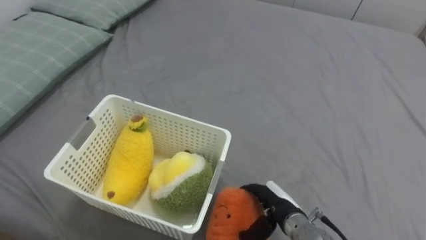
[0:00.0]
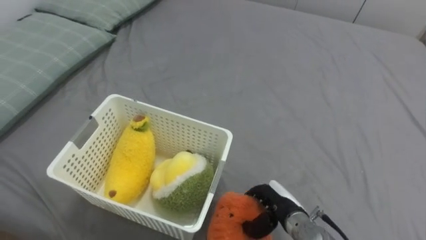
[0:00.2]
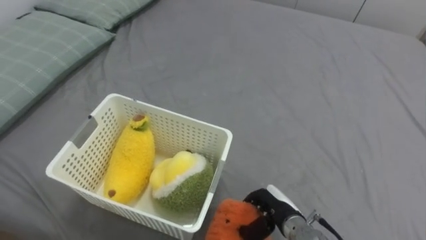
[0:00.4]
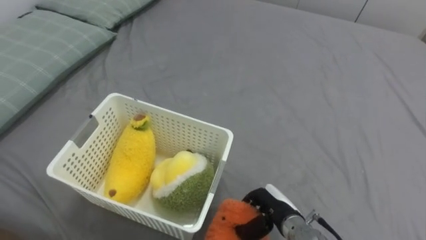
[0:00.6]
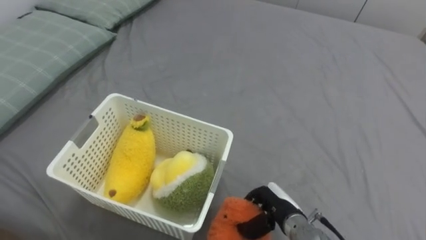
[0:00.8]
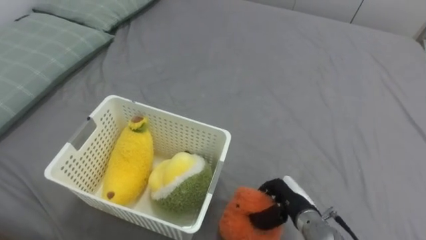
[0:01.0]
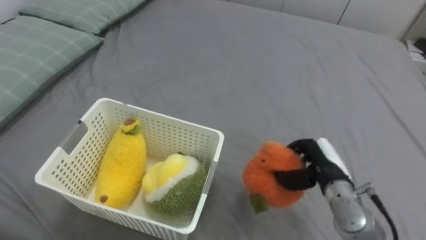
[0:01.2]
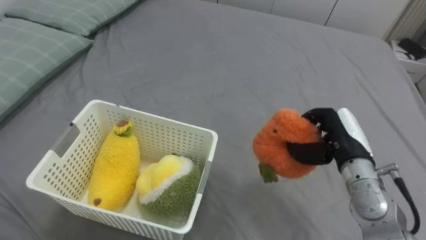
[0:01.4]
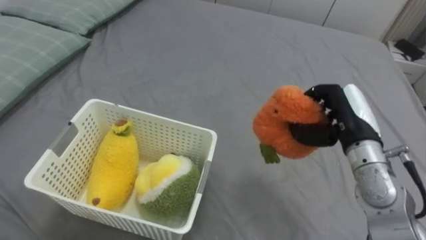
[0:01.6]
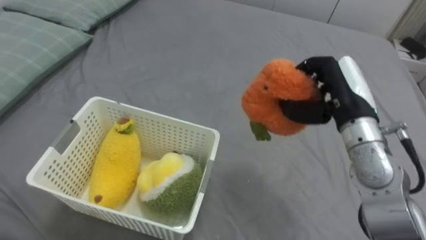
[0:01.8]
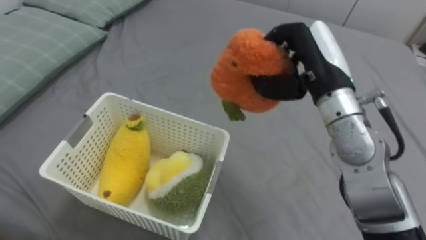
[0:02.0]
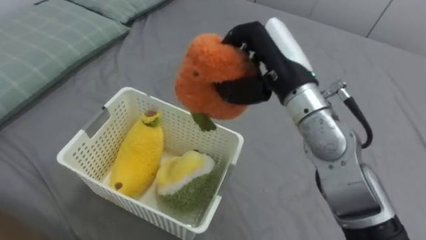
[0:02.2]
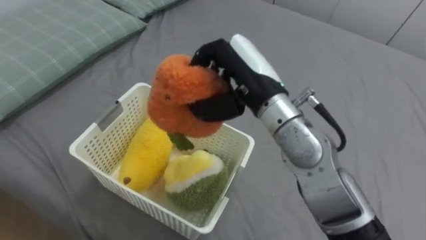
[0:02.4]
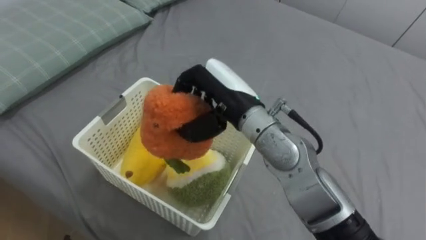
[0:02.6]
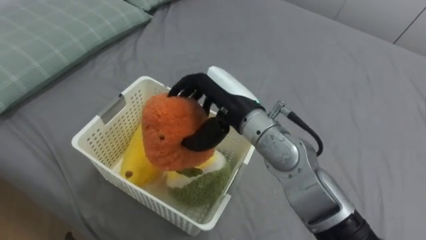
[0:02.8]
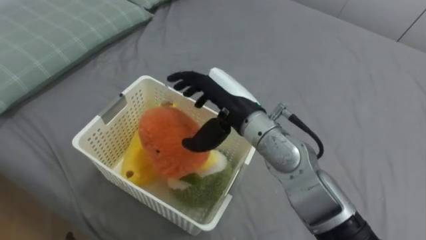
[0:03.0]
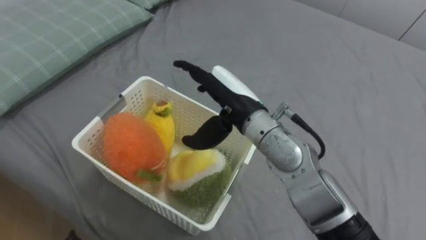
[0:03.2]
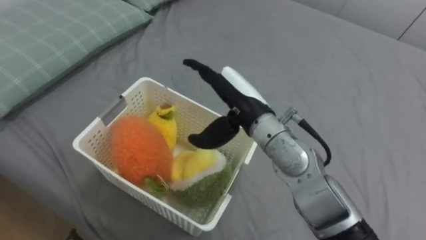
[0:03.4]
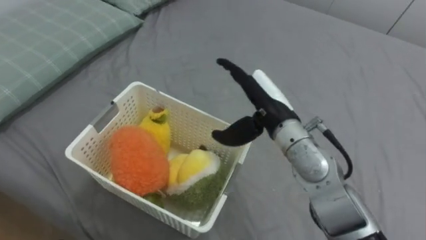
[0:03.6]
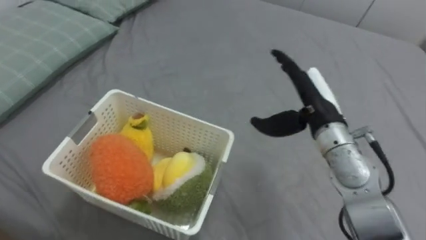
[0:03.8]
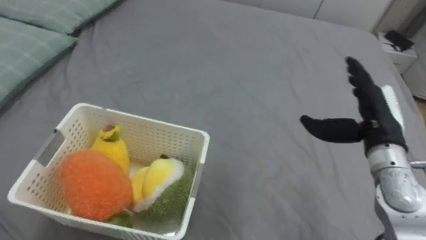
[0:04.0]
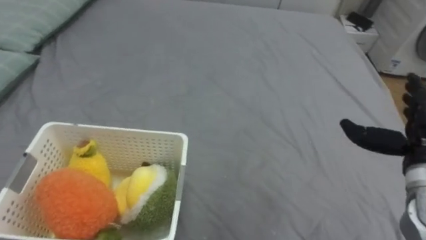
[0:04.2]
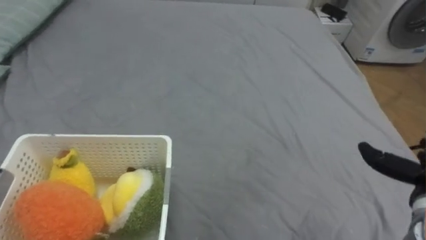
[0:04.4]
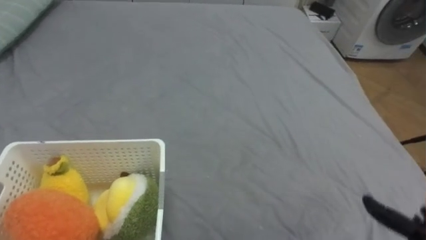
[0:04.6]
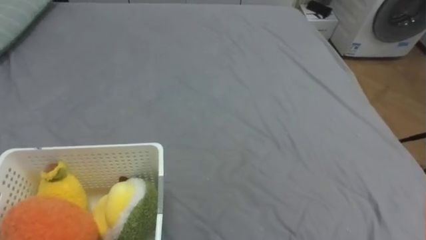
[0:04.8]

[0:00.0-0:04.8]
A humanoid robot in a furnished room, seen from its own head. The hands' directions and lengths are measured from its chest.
Task of the whole recording: Put the toys on the bed into the basket on the left.
0:00.0 to 0:01.6: The right hand shifts roughly 25 cm upward, to the right and forward, and closes.
0:01.6 to 0:03.2: The right hand travels to the left by about 20 cm, and opens its fingers.

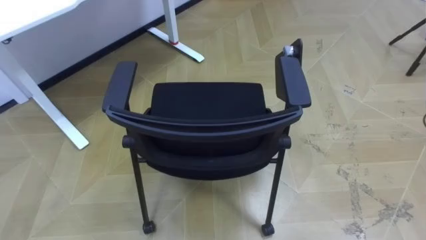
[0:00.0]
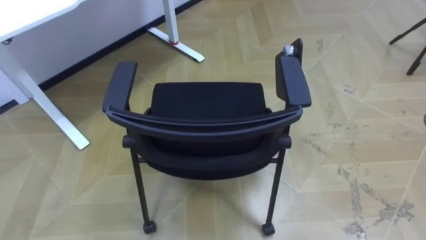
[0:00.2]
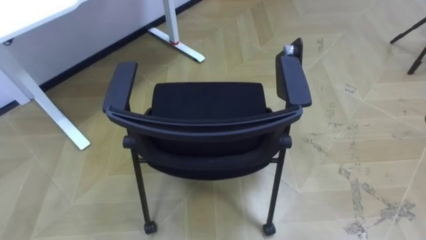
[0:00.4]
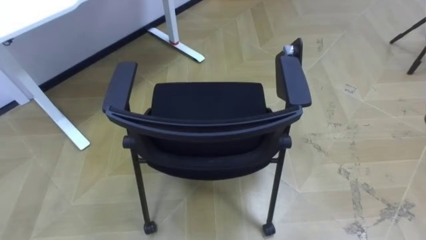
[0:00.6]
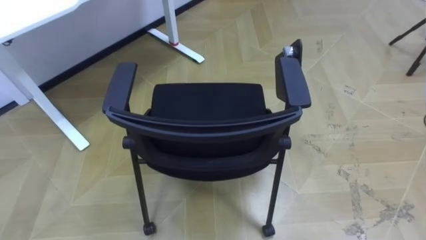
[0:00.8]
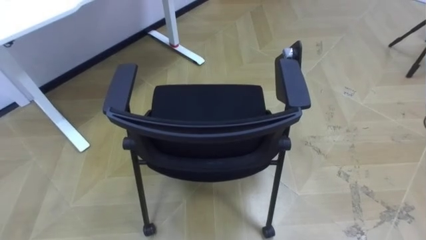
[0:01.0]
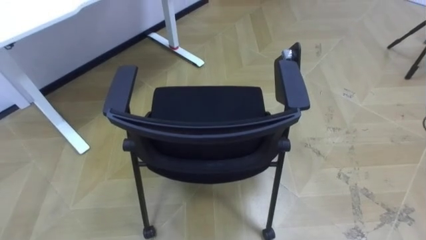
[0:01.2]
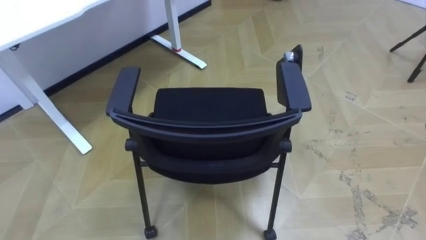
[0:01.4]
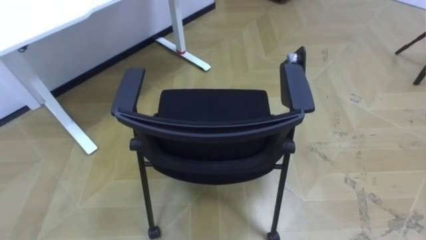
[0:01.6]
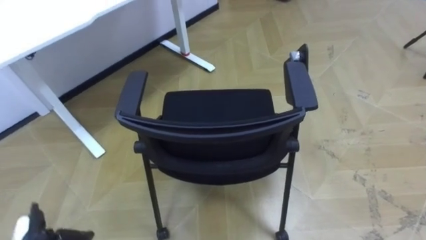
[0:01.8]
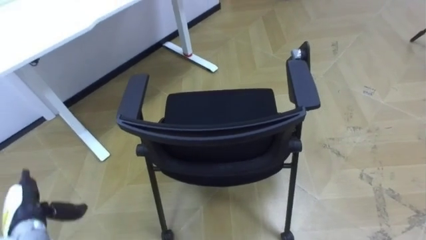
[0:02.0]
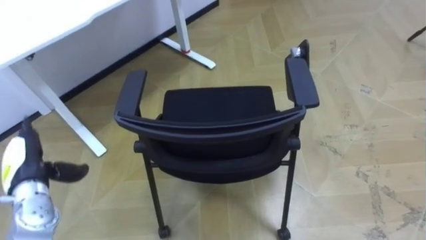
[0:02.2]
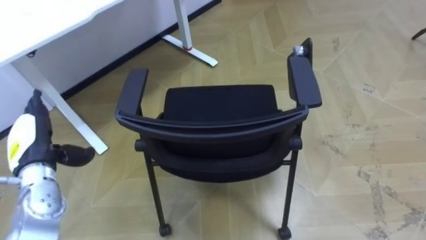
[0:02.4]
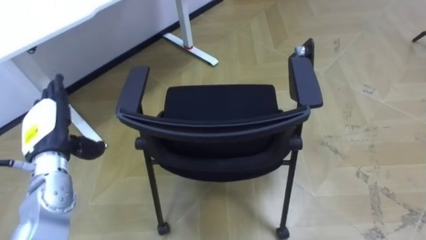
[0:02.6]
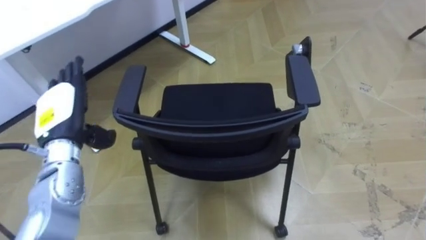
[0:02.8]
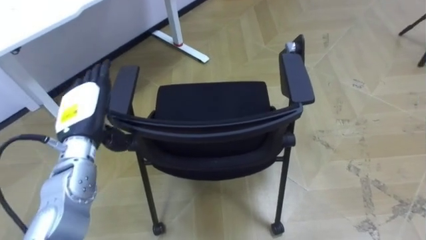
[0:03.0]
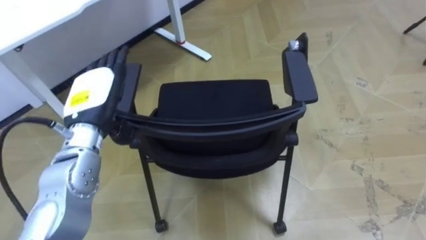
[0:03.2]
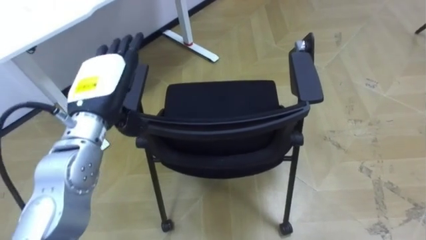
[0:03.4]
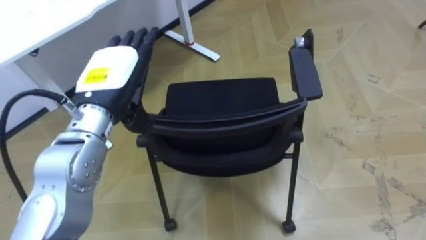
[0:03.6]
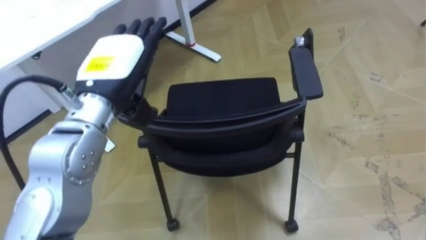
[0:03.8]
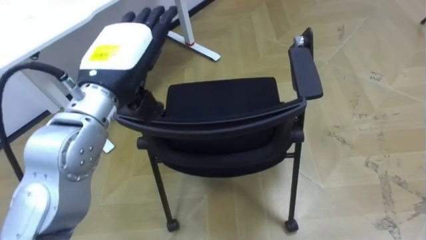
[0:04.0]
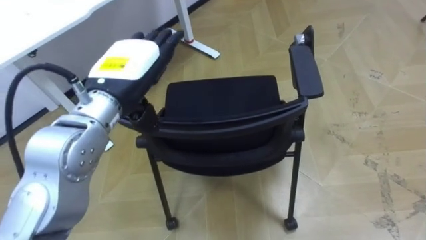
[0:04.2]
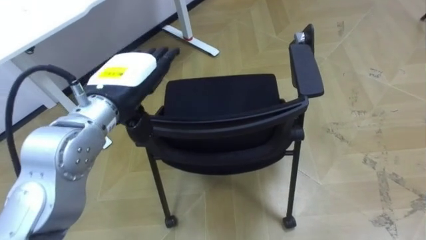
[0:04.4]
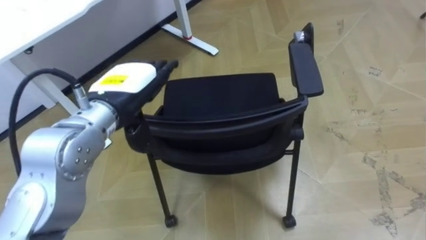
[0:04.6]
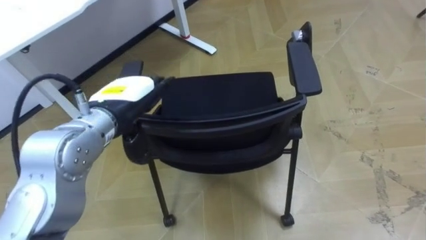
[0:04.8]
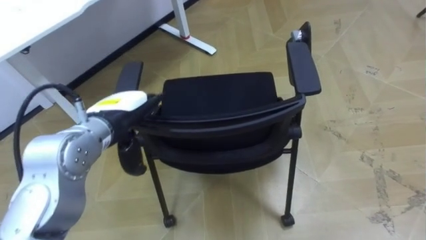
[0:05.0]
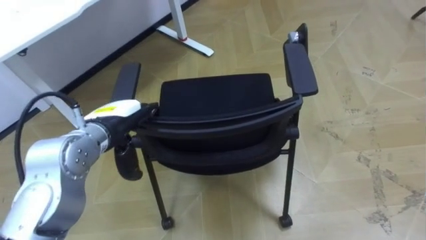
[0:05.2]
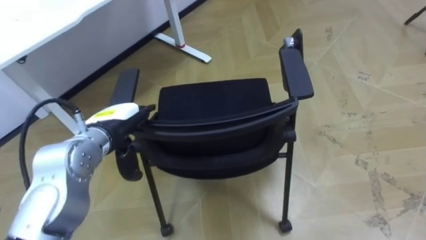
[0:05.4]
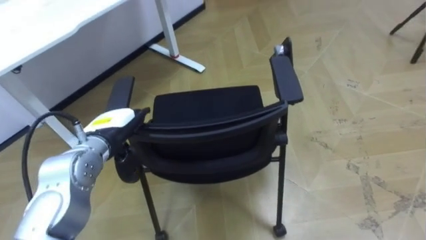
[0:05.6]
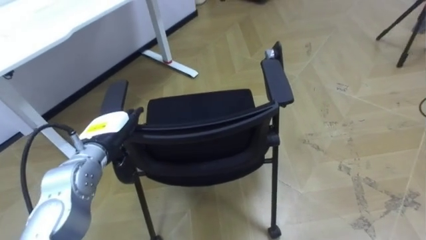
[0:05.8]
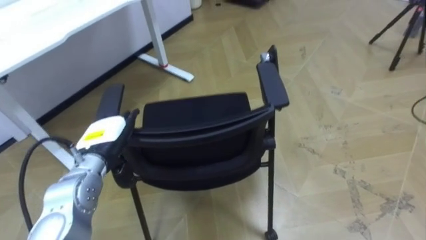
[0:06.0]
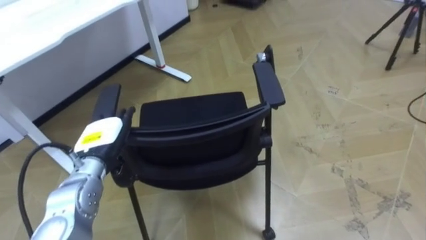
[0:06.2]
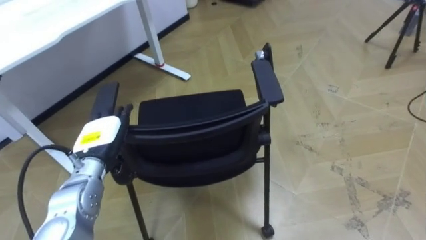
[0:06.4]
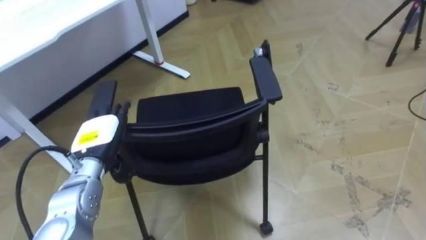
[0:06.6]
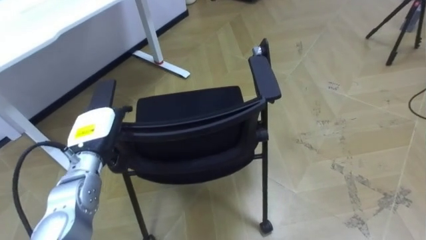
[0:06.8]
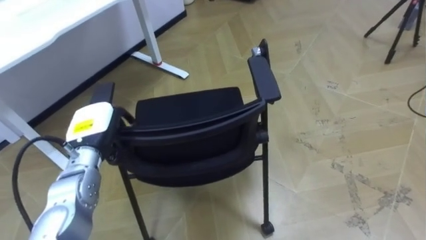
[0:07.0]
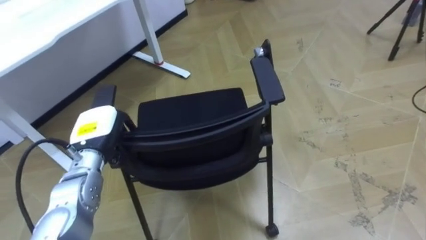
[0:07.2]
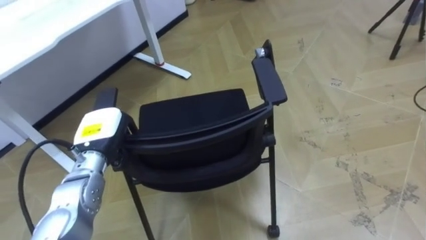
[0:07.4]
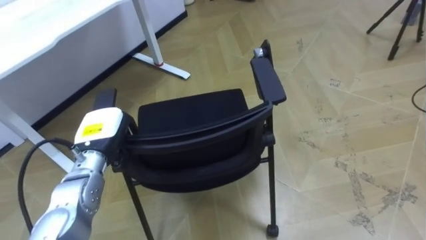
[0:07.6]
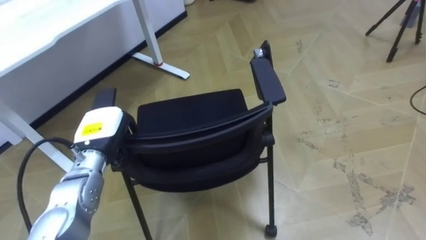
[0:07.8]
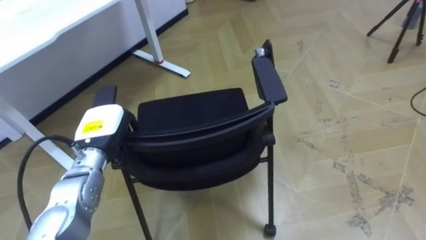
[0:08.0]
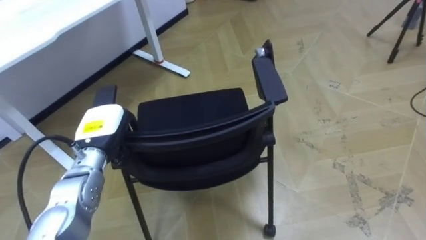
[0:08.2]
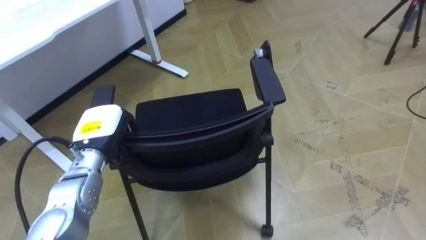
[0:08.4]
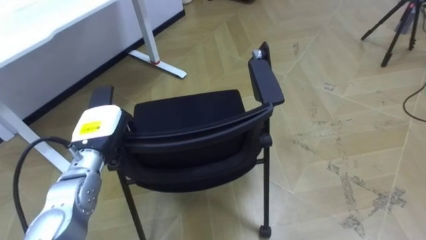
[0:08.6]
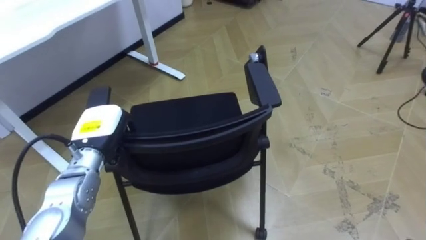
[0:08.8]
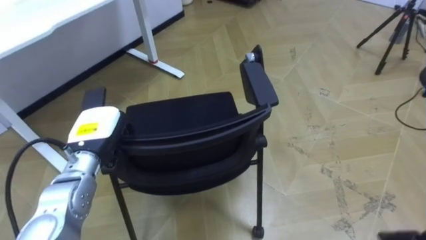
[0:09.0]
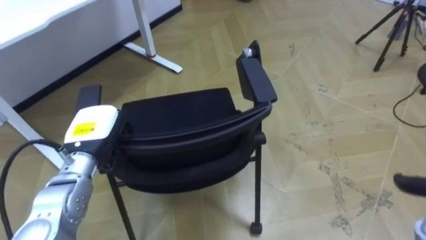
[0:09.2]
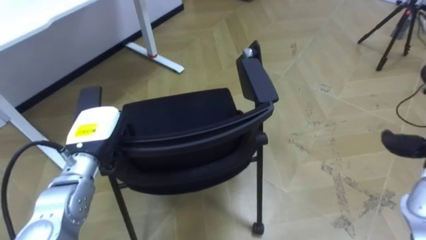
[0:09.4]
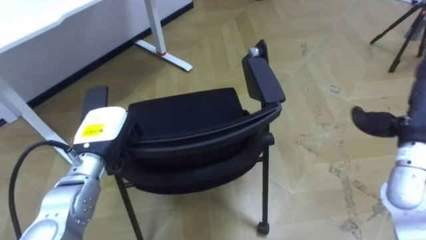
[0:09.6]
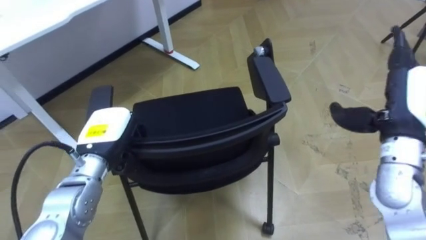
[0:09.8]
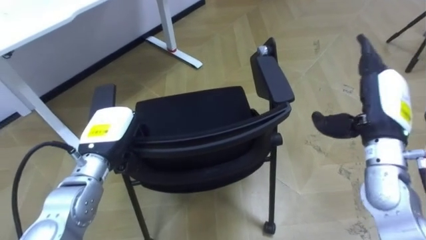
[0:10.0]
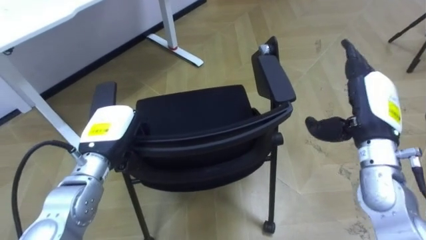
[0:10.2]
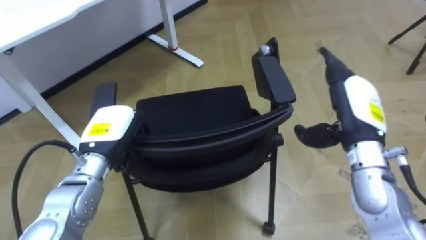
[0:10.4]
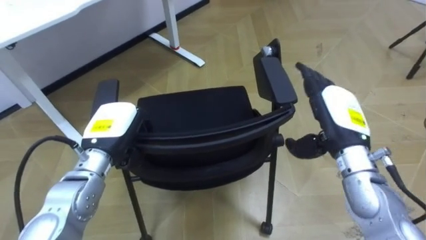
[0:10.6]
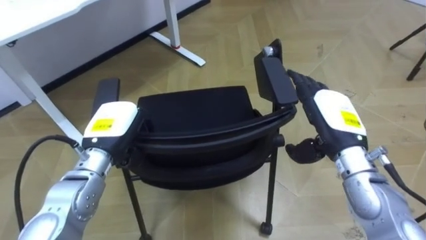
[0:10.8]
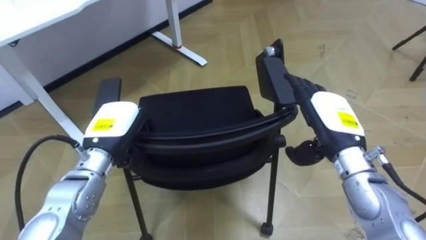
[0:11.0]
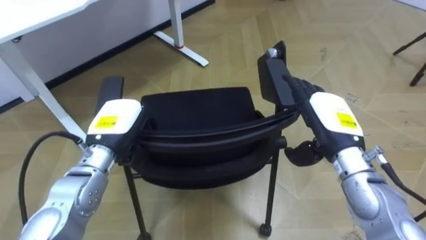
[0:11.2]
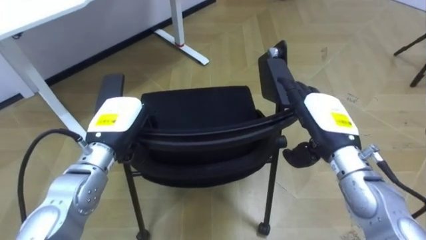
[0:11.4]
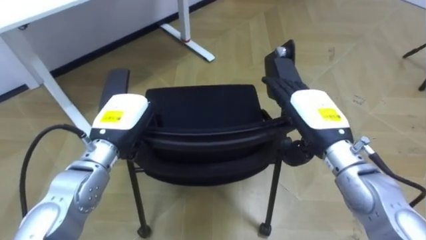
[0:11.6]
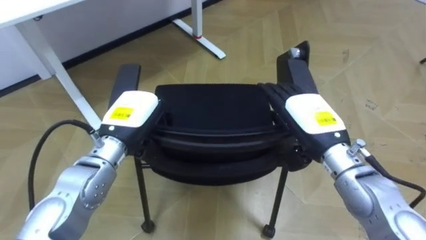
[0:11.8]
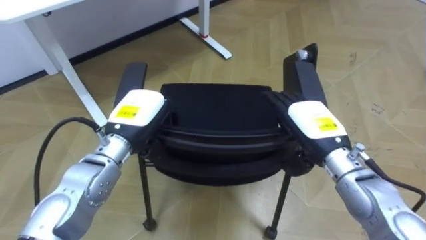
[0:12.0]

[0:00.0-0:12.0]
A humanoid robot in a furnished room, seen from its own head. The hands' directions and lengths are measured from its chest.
Task of the whole recording: Push the chair under the table.
0:03.0 to 0:04.4: The left hand heads to the right and upward, covering about 10 cm.
0:04.4 to 0:06.0: The left hand heads downward and to the left, covering approximately 15 cm.
0:06.0 to 0:07.6: The left hand closes up.
0:10.4 to 0:12.0: The left hand is displaced to the right by some 5 cm. Meanwhile the right hand moves to the left, roughly 5 cm.
